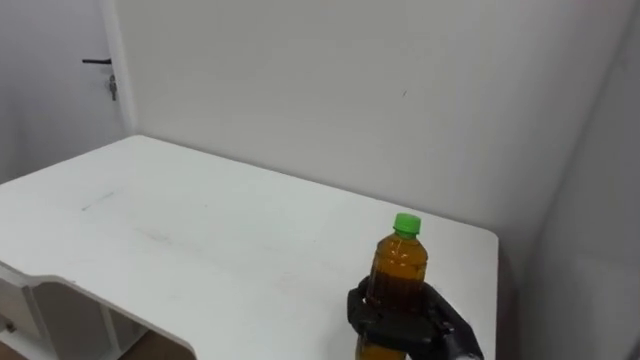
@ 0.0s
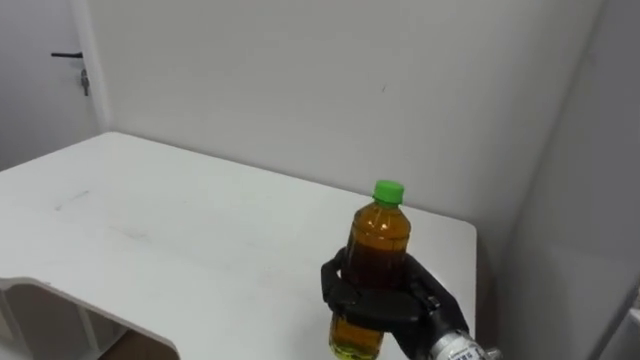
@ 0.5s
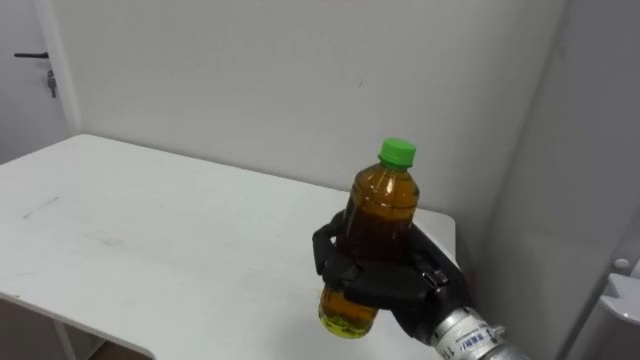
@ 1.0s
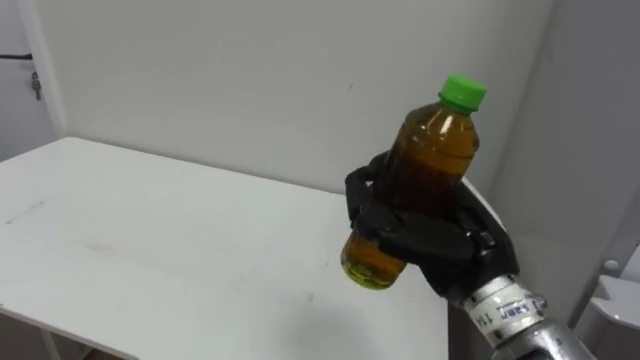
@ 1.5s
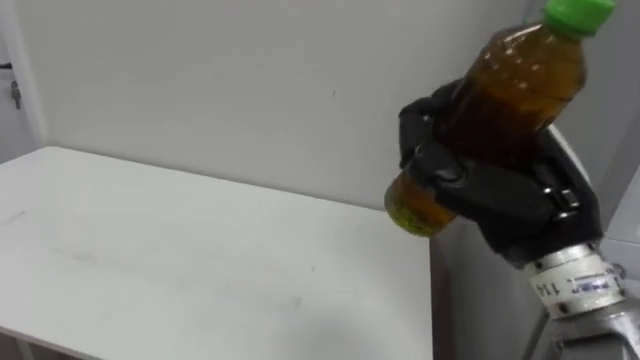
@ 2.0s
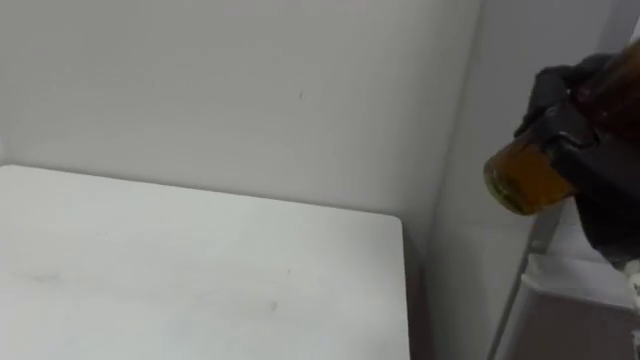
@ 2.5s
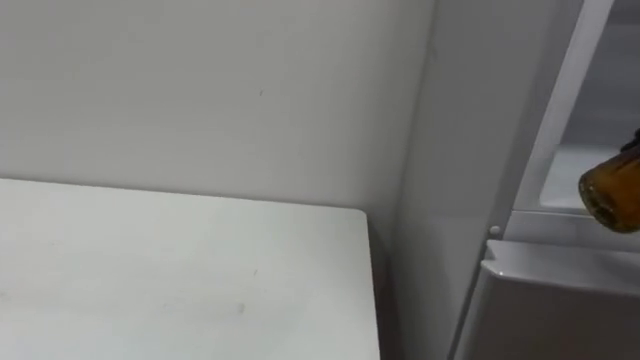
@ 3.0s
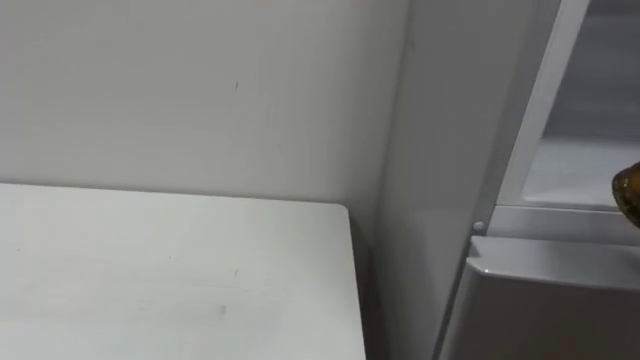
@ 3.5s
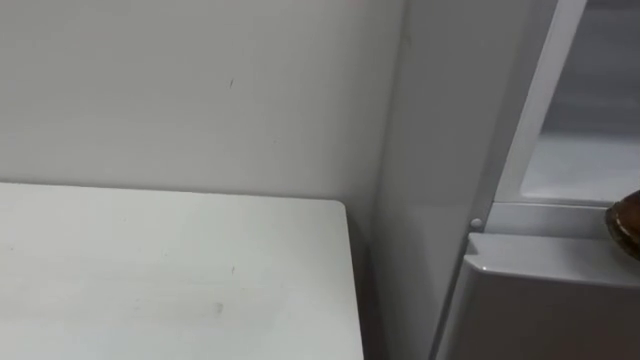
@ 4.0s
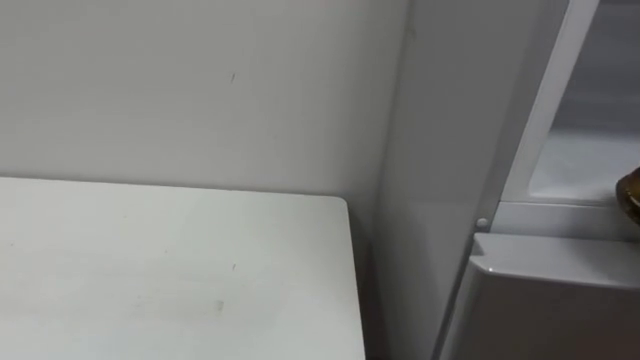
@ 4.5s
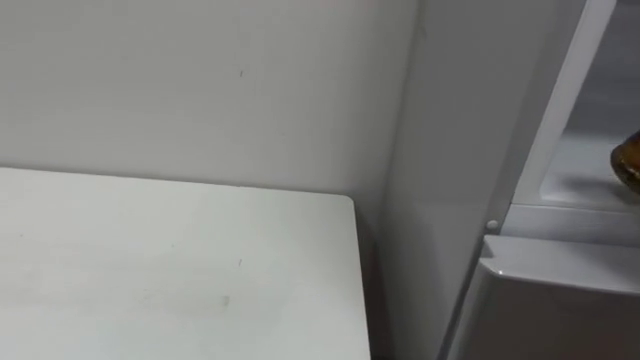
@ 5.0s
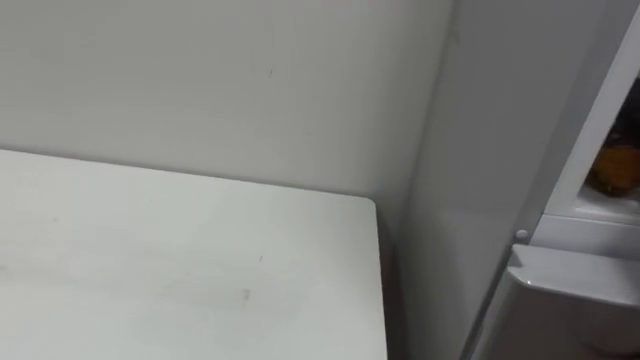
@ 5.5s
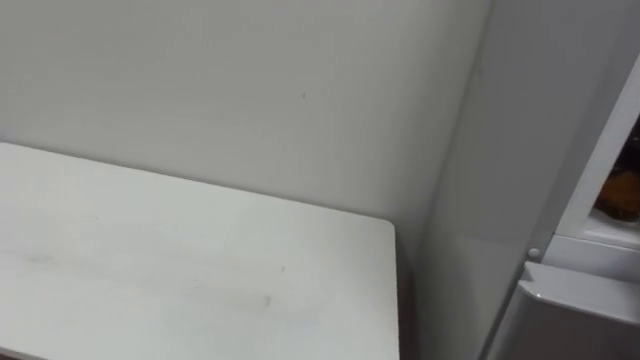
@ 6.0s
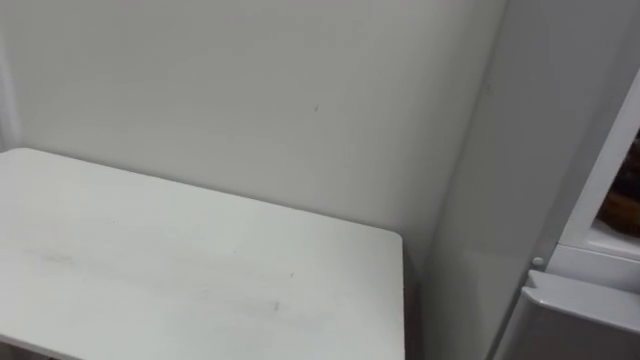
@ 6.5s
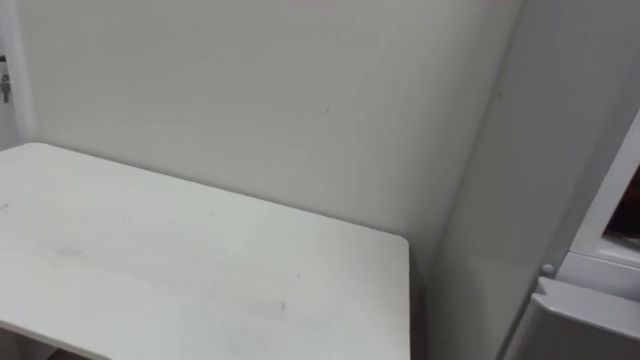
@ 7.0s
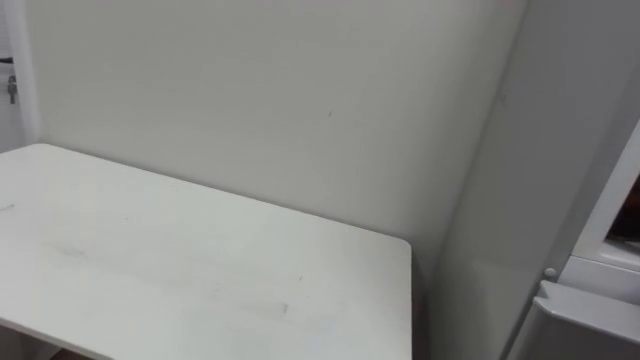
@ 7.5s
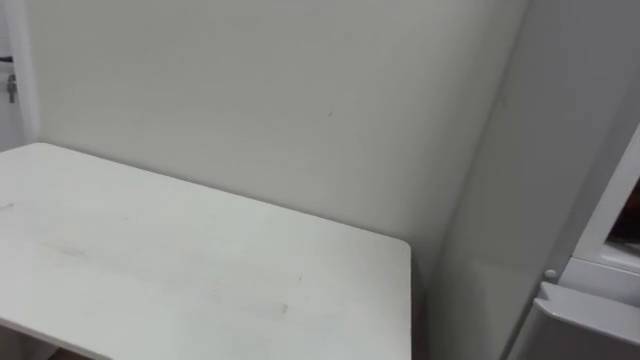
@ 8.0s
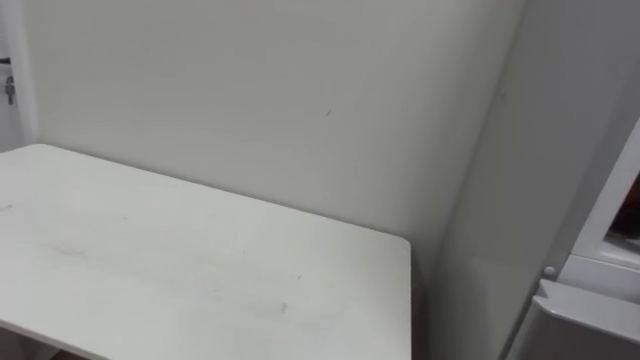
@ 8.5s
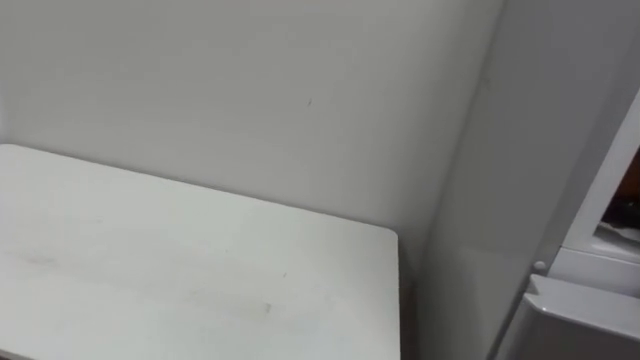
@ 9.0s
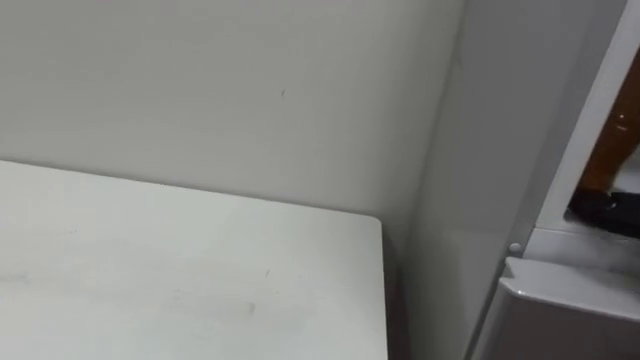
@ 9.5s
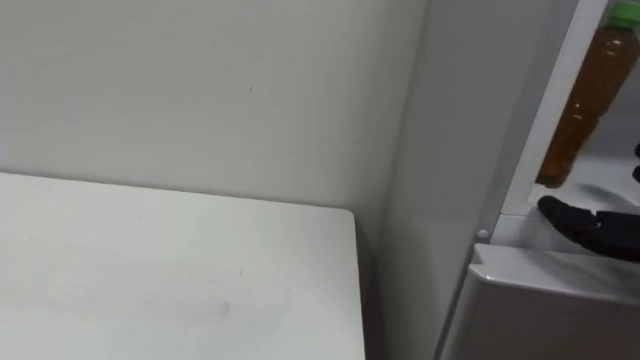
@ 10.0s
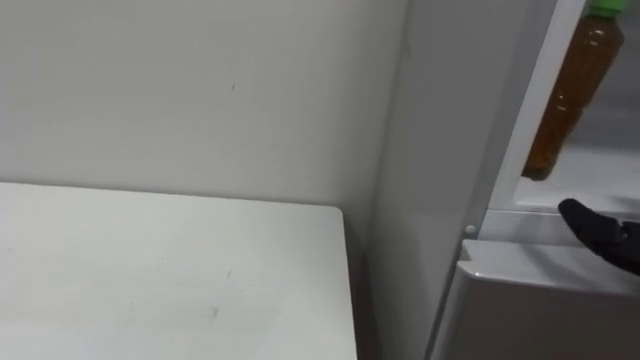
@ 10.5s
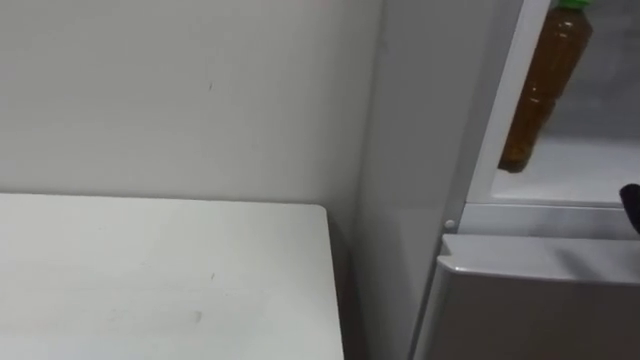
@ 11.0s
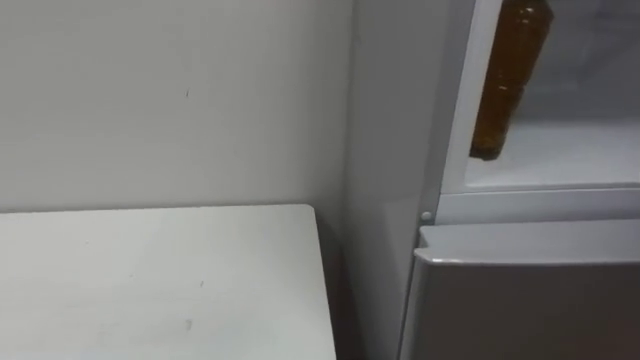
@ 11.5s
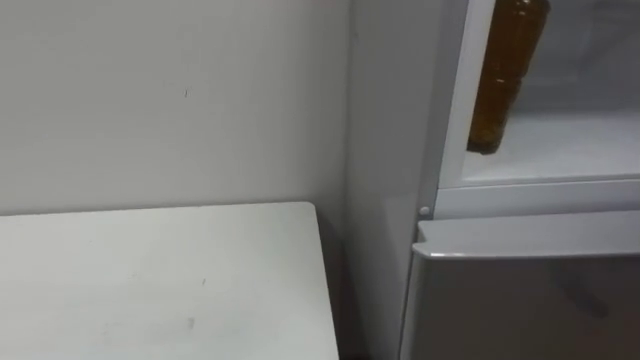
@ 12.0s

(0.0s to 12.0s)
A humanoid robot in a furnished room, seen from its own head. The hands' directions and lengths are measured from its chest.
Task of the whole recording: Open the upper refrigerator door, put the drink from the table into the refrigerator, and then close the refrigerator door.
0.0s - 2.0s: The right hand travels upward by approximately 20 cm.

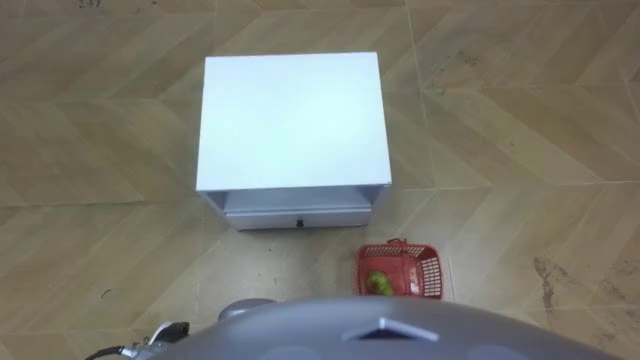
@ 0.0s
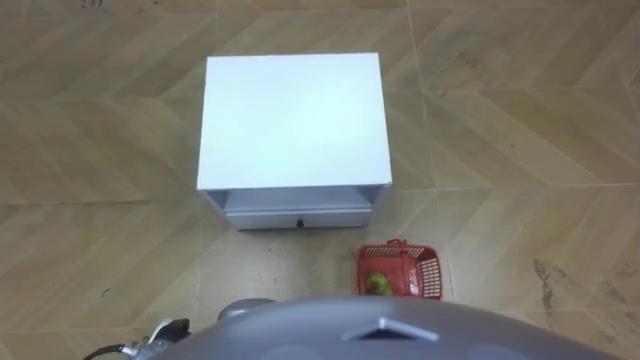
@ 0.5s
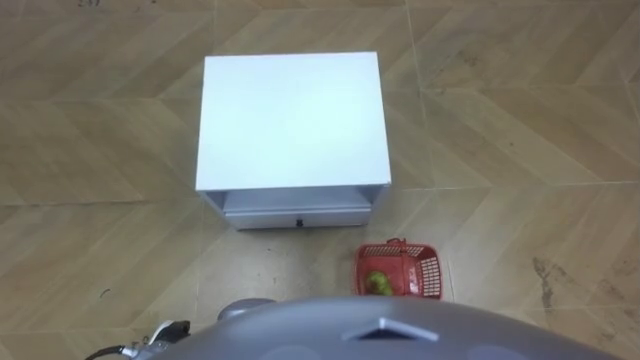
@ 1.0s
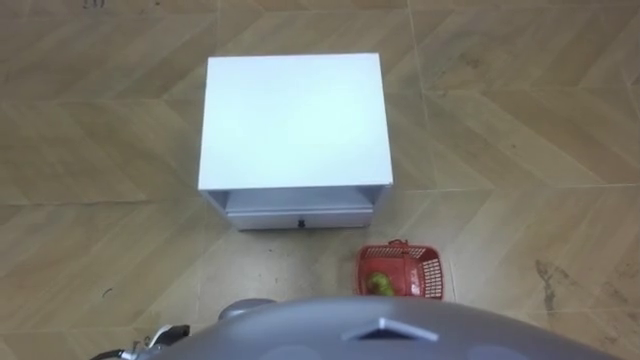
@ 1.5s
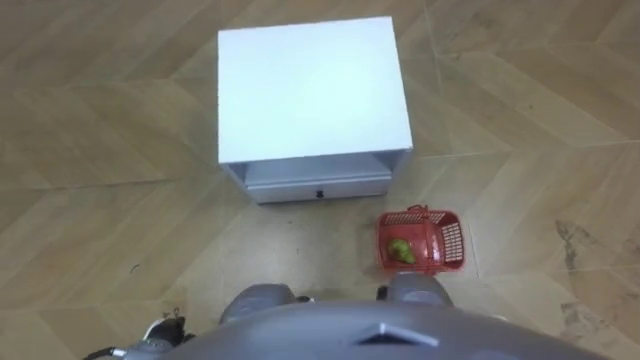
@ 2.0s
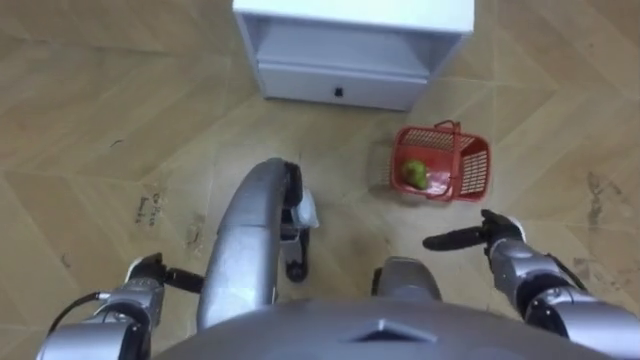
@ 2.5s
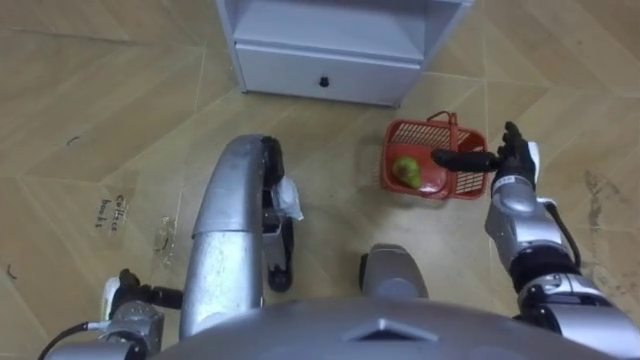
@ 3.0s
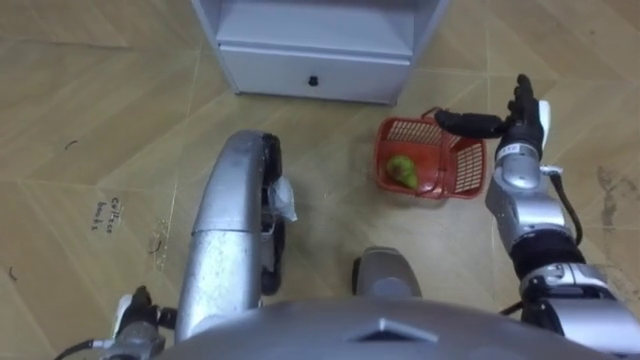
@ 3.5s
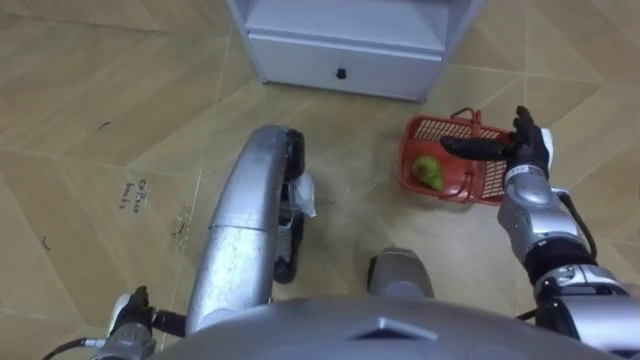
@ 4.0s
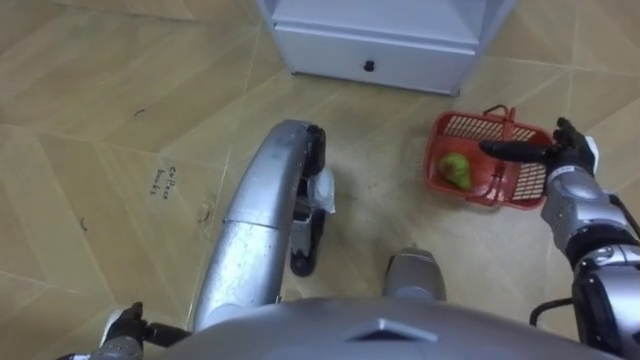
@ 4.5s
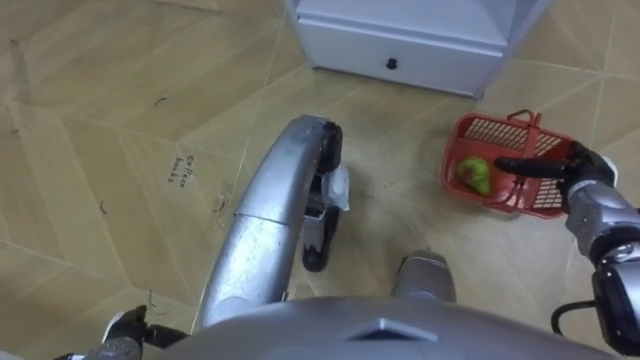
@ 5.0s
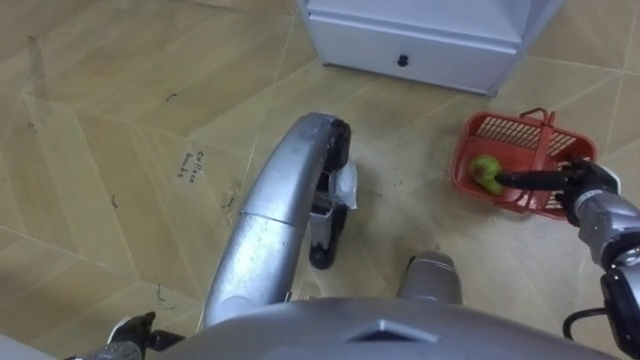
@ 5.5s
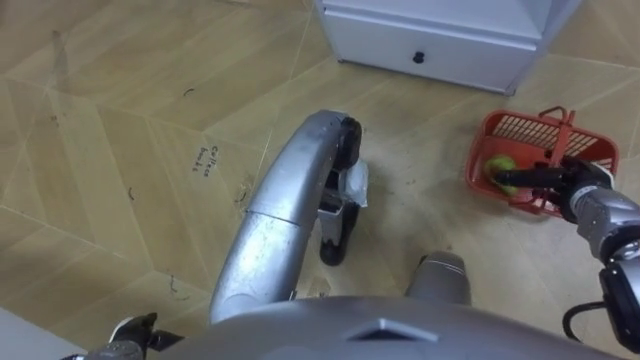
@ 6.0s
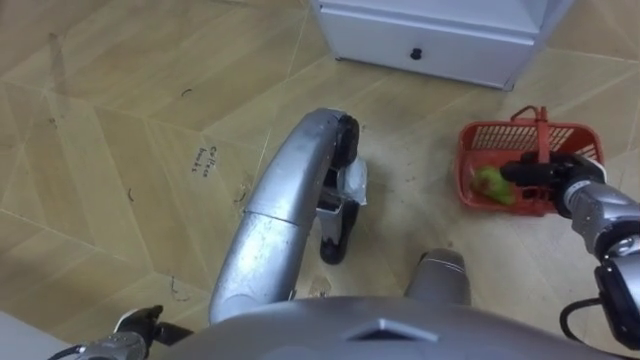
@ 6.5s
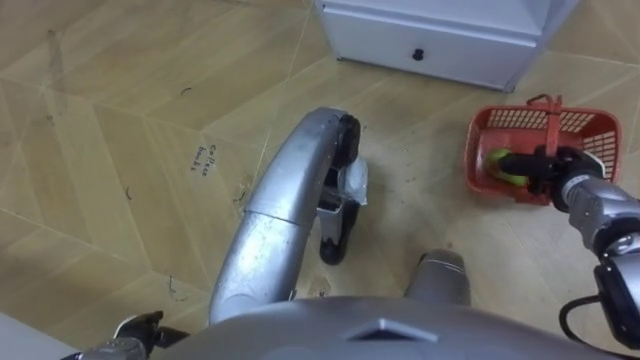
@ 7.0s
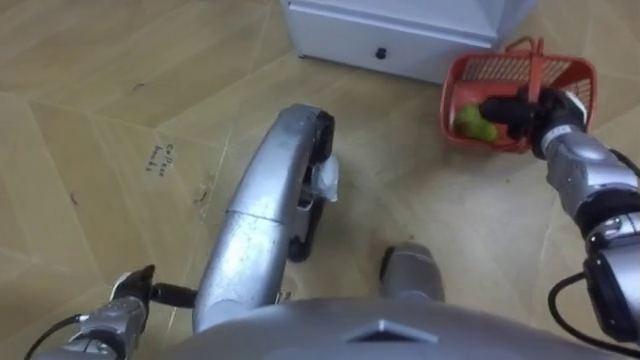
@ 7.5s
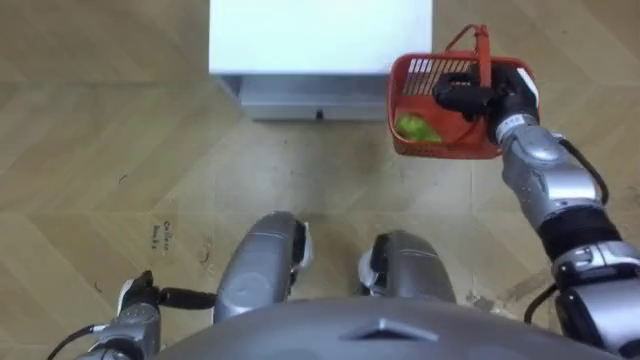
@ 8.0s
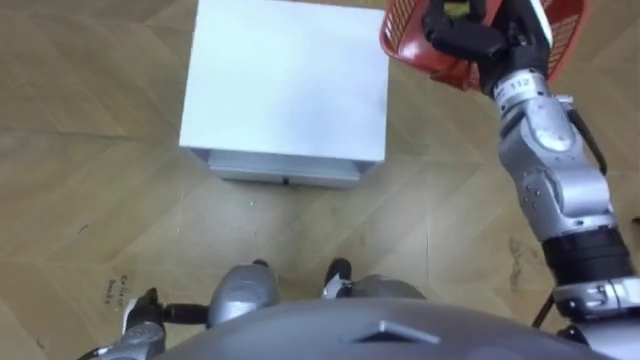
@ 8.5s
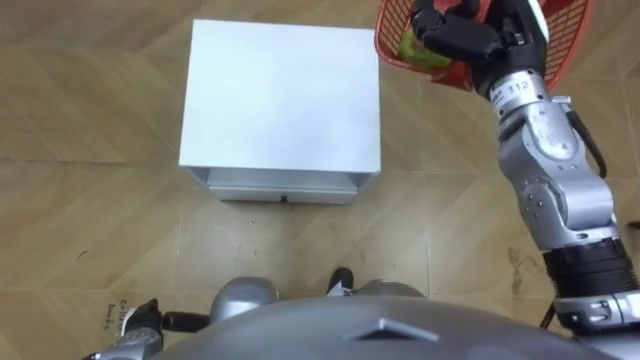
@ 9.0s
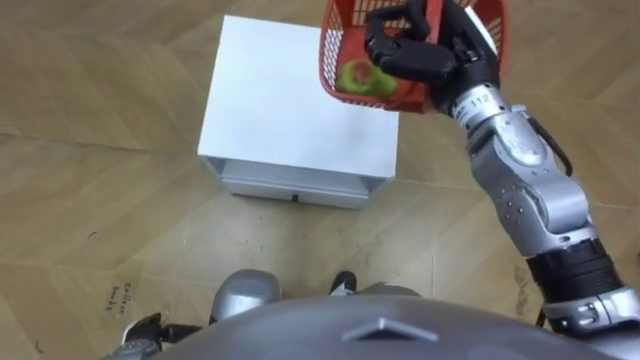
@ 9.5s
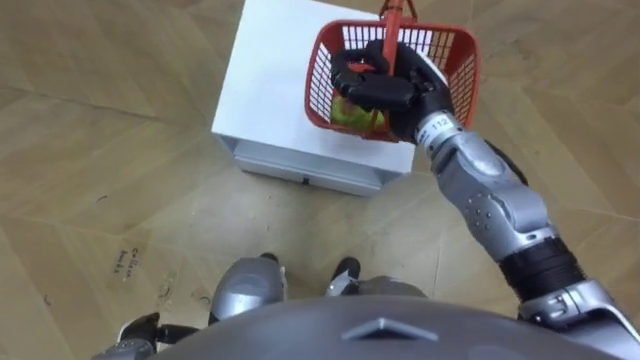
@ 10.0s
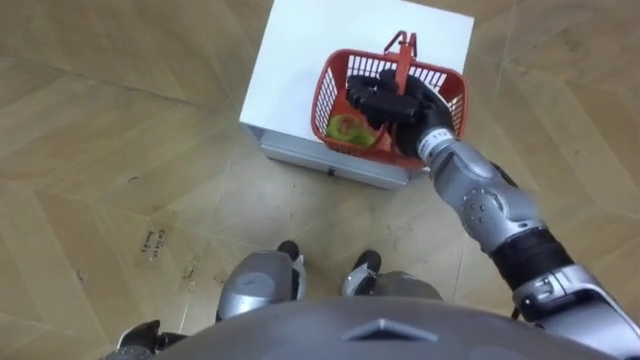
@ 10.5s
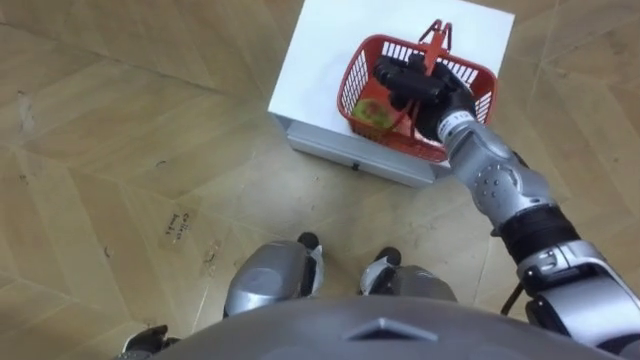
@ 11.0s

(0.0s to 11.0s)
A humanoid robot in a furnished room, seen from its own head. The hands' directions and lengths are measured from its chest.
Task of the whole recording: Pick up the fruit basket from the floor and place it on the cabinet.
2.0s - 3.5s: The right hand is displaced forward and upward by roughly 30 cm; the left hand moves some 10 cm forward and comes back.
3.5s - 5.5s: The right hand travels to the right and backward by roughly 10 cm.
5.5s - 7.5s: The left hand is displaced forward by approximately 5 cm. Meanwhile the right hand shifts about 10 cm forward and to the left, and closes up.
7.5s - 9.0s: The right hand shifts some 20 cm upward and to the left.
9.0s - 11.0s: The right hand goes about 10 cm downward.
